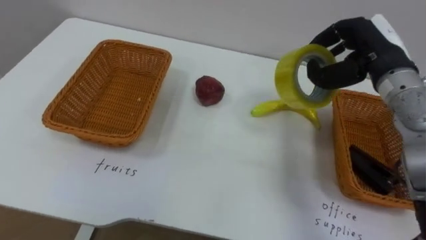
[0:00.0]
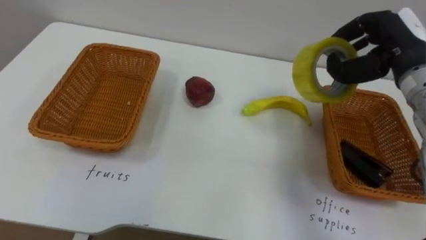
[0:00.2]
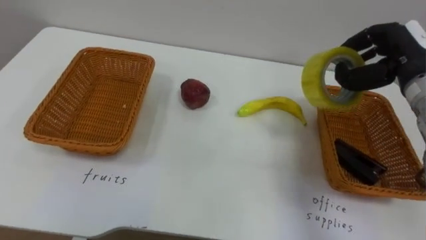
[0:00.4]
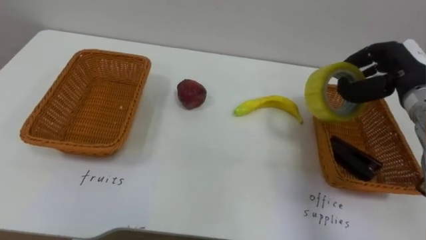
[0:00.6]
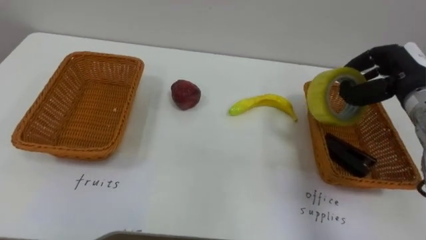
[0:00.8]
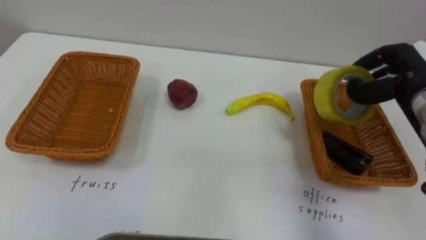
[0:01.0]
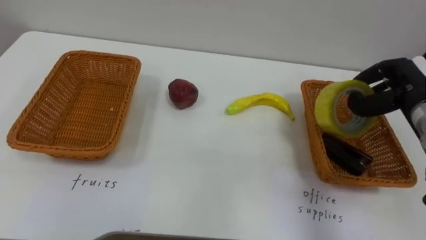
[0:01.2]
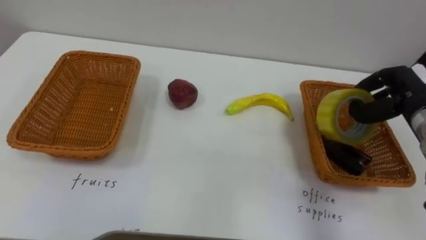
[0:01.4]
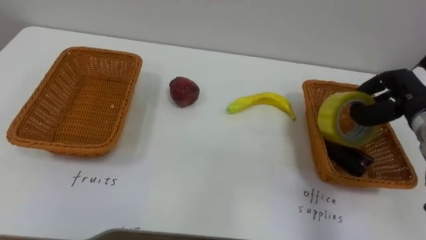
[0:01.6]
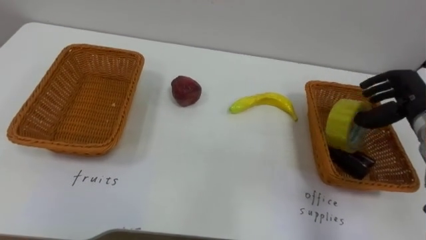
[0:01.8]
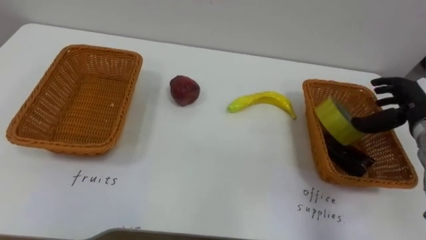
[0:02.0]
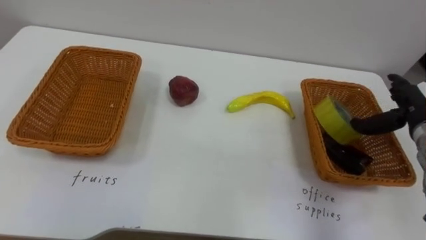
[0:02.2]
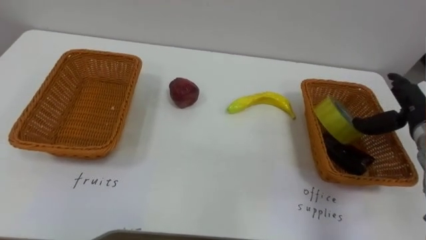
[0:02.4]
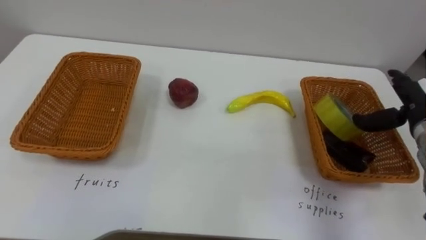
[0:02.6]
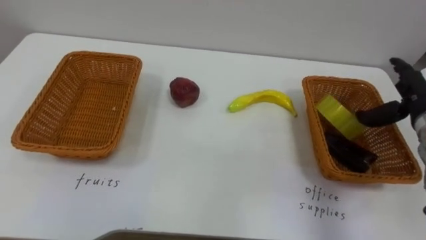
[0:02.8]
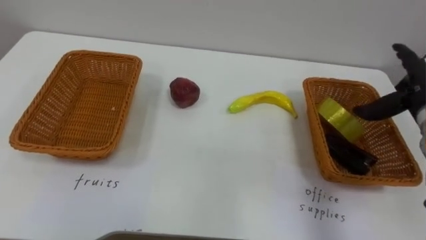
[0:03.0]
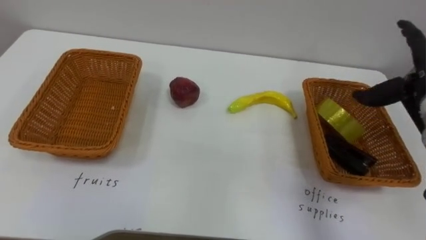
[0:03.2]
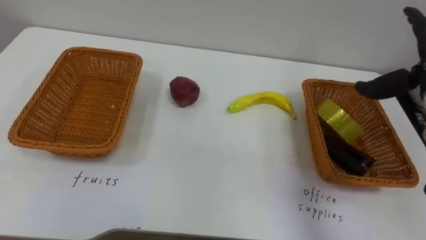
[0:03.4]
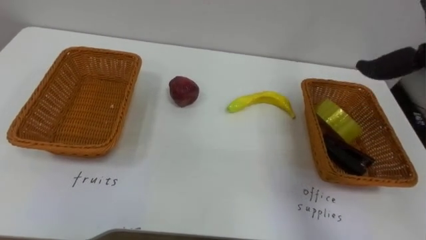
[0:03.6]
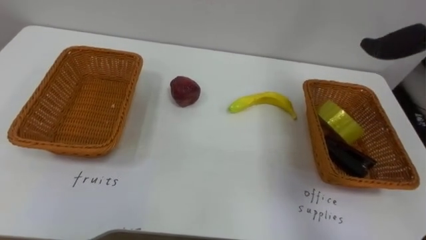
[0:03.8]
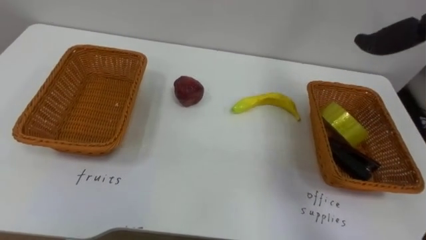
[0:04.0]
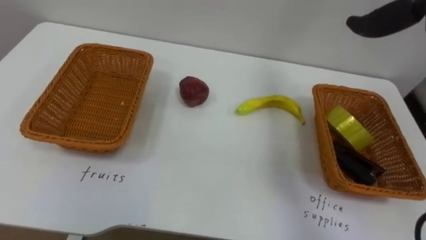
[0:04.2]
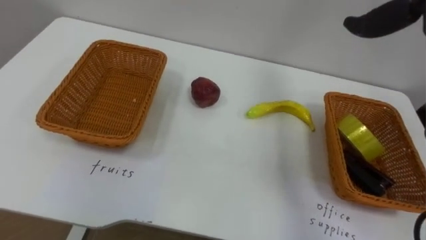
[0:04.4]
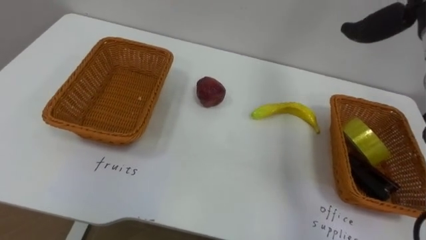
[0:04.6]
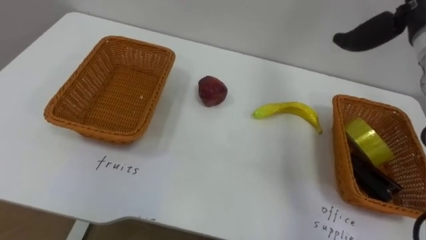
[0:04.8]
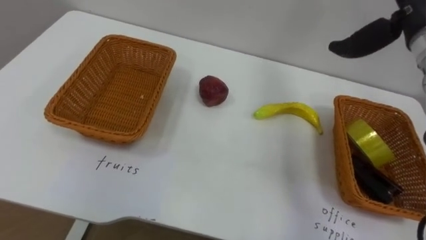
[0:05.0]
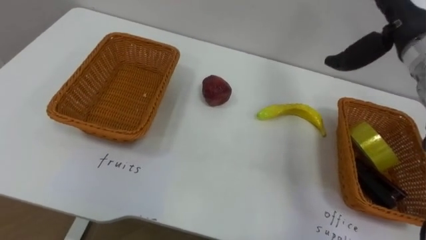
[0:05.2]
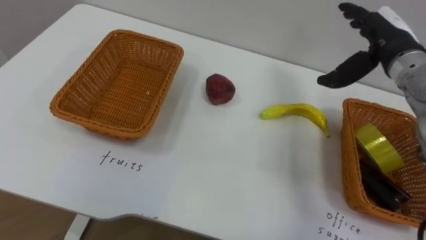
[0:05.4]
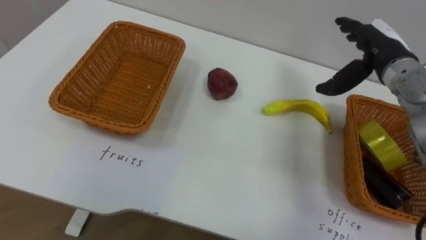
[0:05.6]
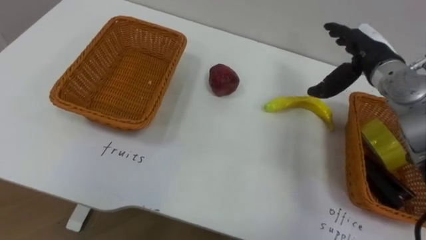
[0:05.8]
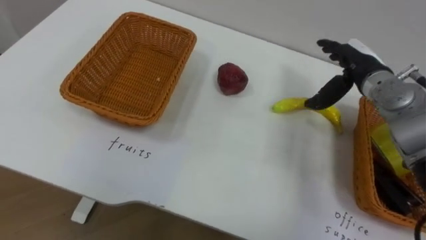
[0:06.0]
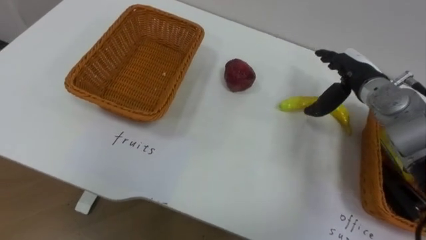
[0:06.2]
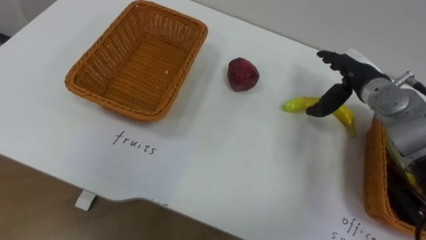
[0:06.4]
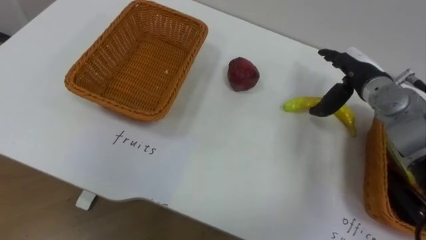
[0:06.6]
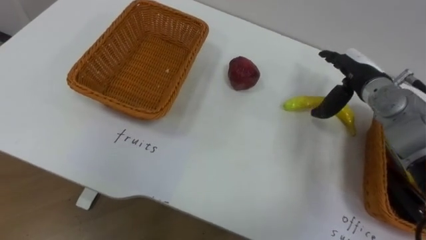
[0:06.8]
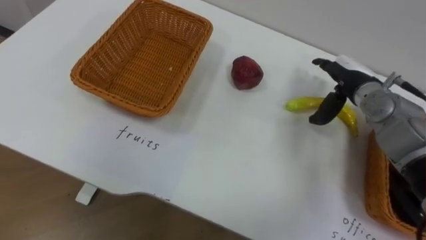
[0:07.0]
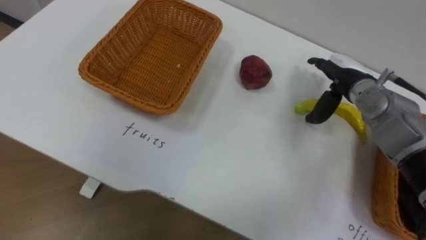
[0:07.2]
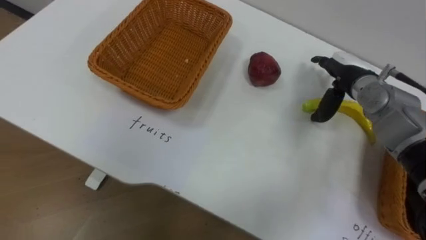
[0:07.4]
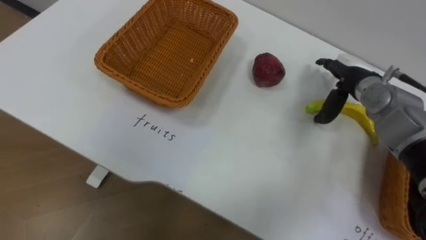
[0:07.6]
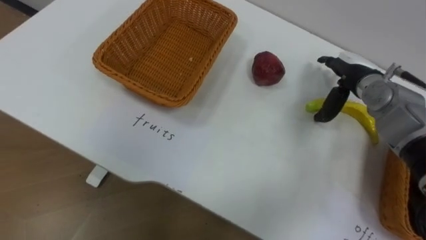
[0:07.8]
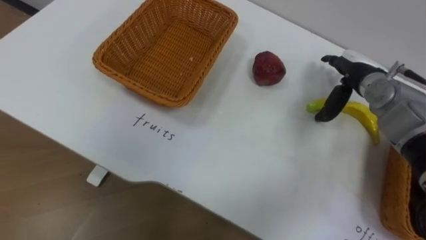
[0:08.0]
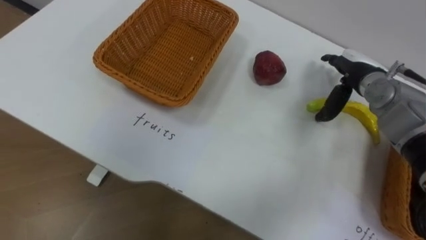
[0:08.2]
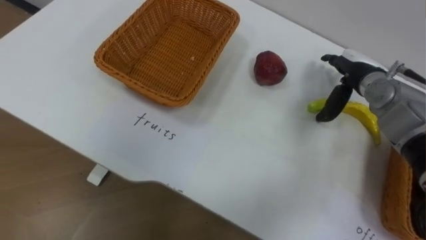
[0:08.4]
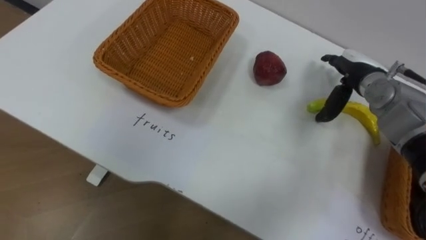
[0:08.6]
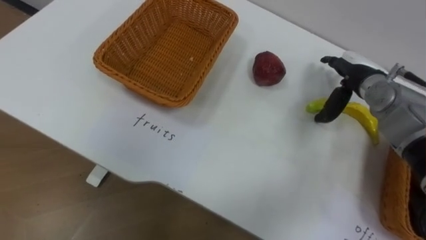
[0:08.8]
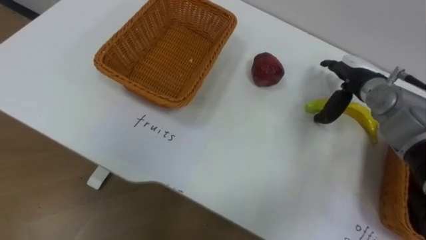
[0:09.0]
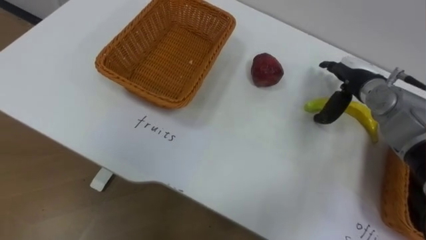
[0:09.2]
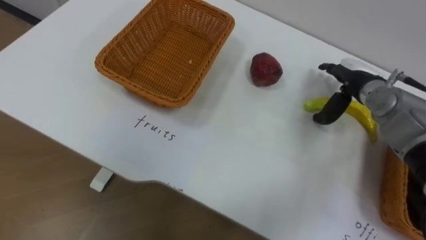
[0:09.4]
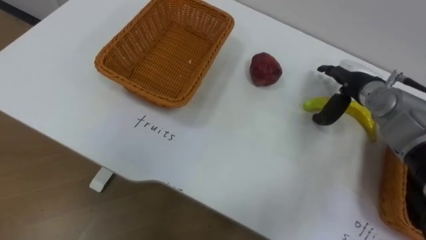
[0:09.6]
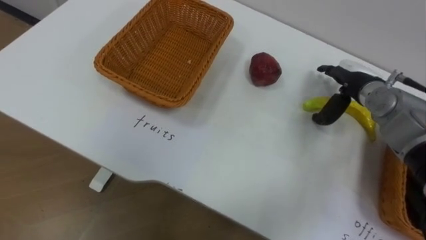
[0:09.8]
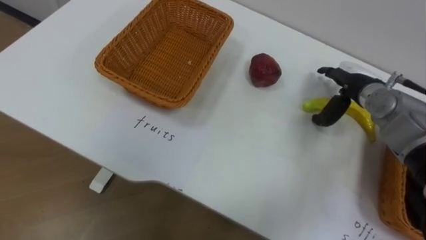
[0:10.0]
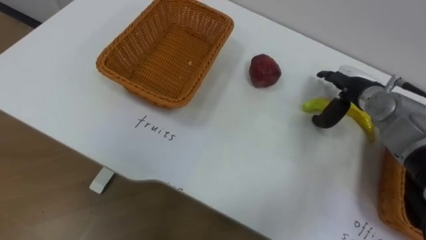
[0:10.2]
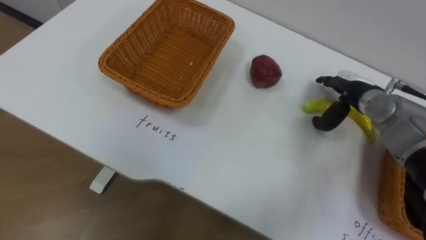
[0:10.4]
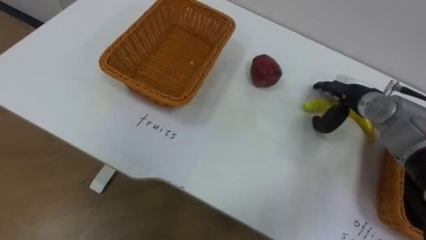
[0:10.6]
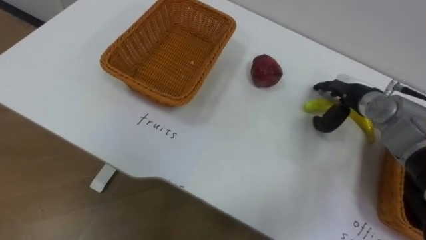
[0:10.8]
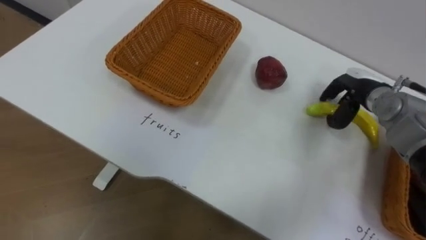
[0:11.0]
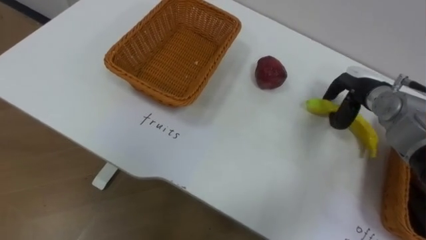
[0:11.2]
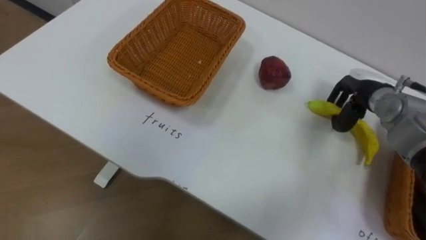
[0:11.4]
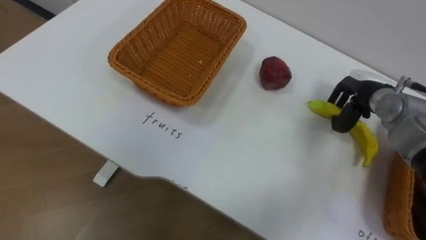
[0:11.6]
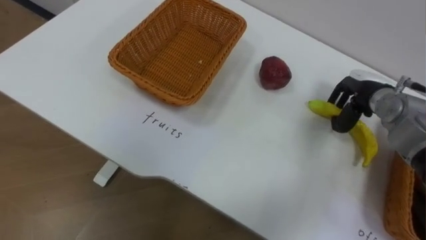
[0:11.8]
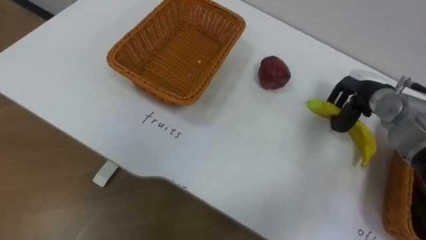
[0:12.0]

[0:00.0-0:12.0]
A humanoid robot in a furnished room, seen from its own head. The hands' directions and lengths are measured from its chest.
Task of the whole recording: Separate the items on the table and place them into the two baskets.
0:00.0 to 0:01.6: The right hand moves to the right and downward, some 15 cm.
0:01.6 to 0:03.0: The right hand opens its fingers.
0:10.4 to 0:12.0: The right hand closes.

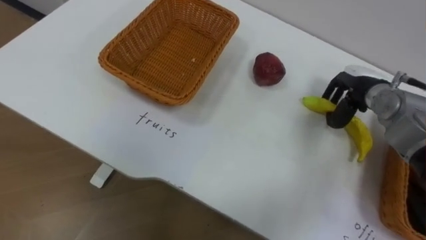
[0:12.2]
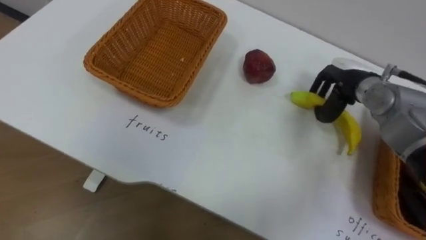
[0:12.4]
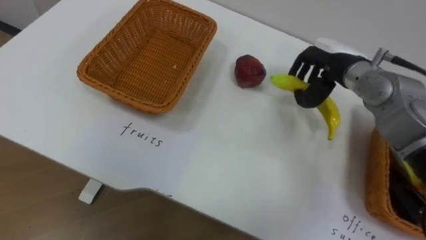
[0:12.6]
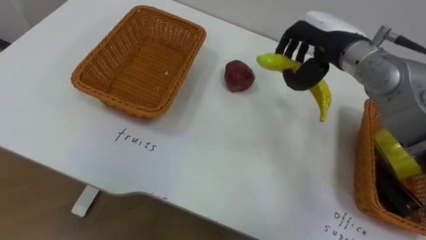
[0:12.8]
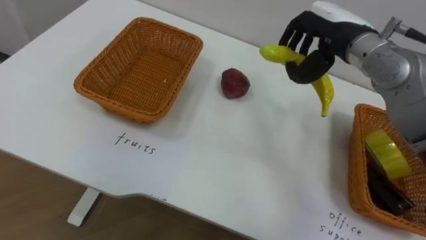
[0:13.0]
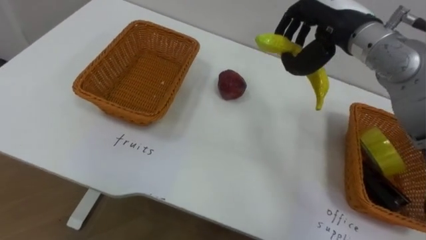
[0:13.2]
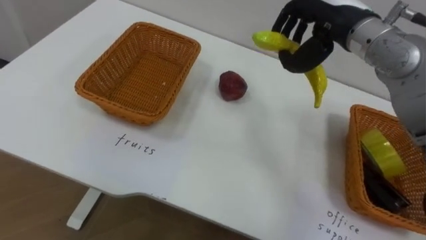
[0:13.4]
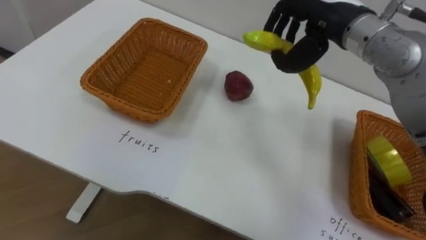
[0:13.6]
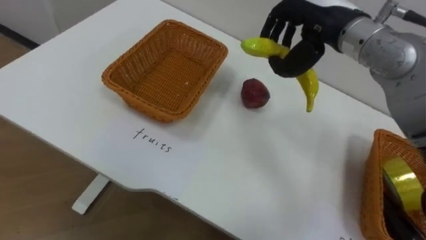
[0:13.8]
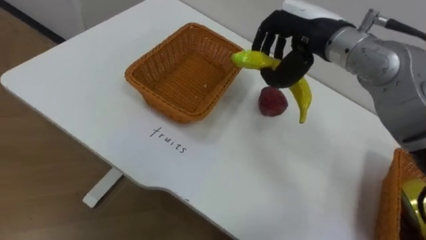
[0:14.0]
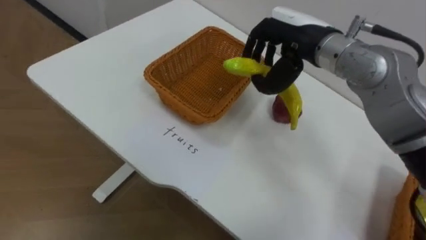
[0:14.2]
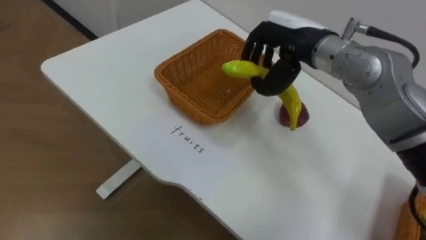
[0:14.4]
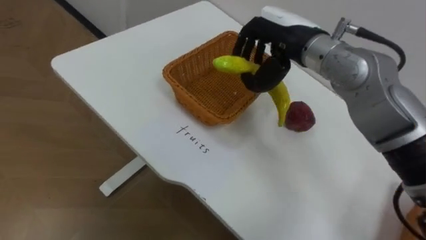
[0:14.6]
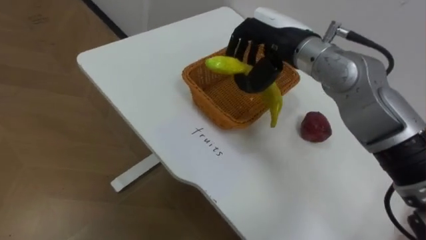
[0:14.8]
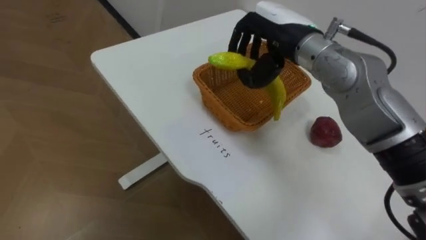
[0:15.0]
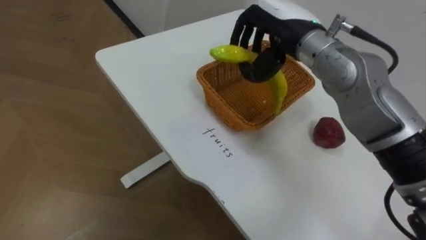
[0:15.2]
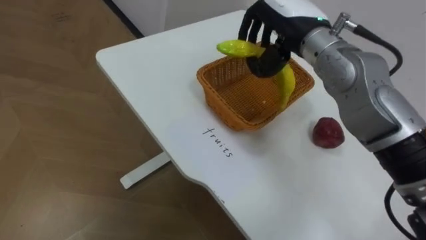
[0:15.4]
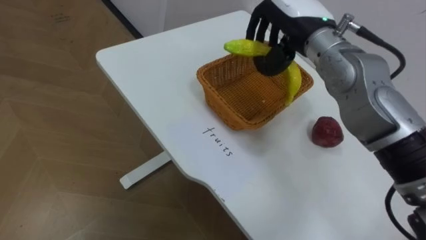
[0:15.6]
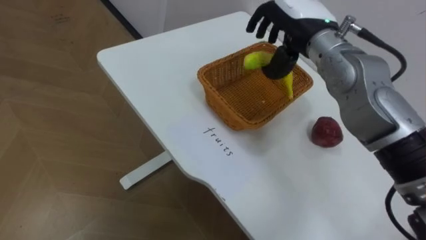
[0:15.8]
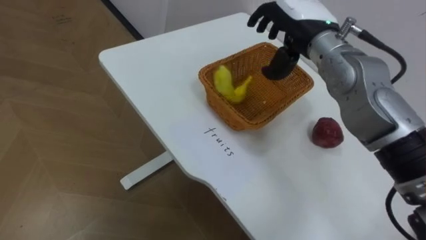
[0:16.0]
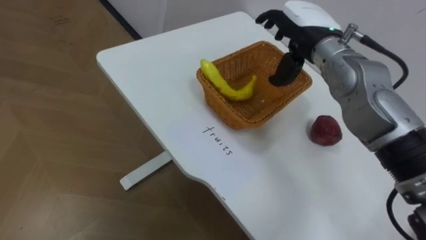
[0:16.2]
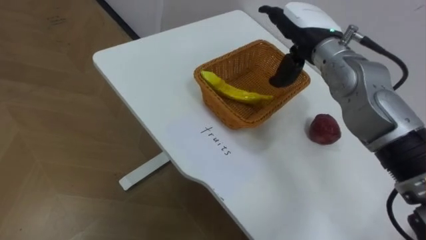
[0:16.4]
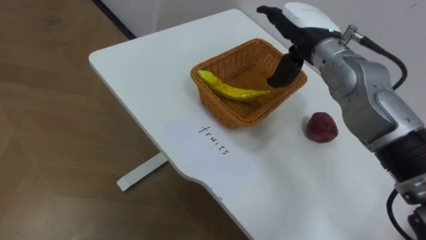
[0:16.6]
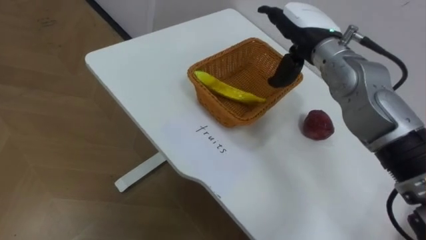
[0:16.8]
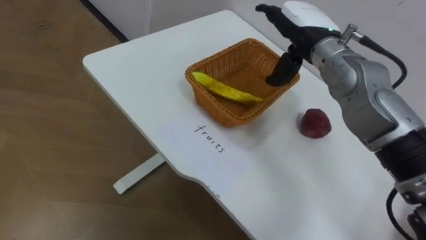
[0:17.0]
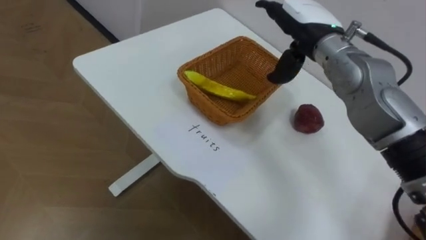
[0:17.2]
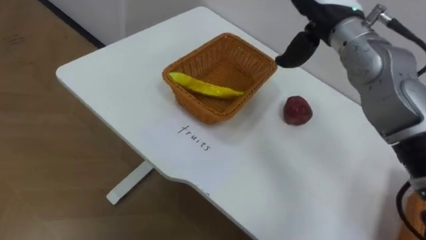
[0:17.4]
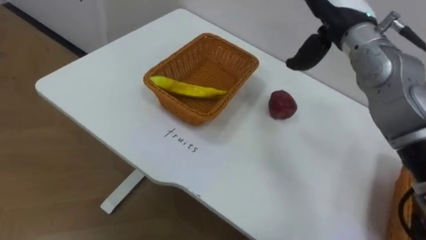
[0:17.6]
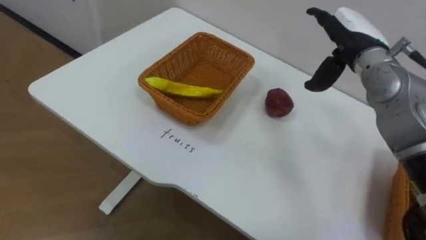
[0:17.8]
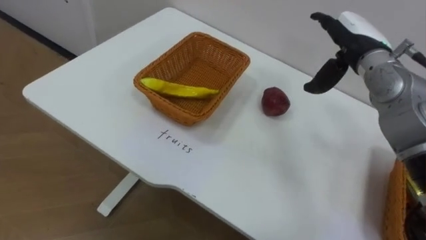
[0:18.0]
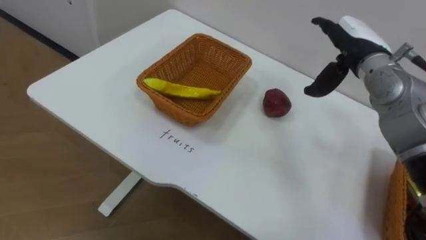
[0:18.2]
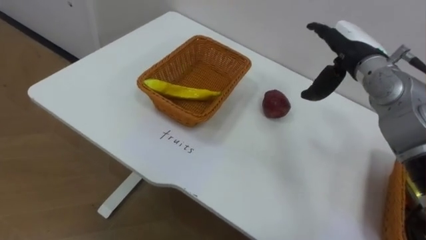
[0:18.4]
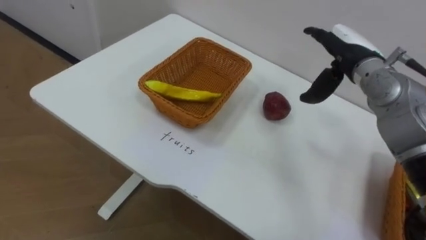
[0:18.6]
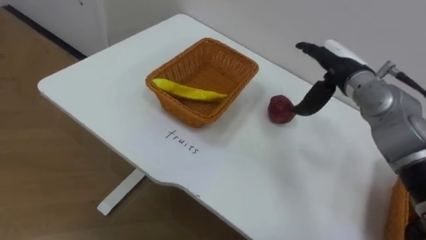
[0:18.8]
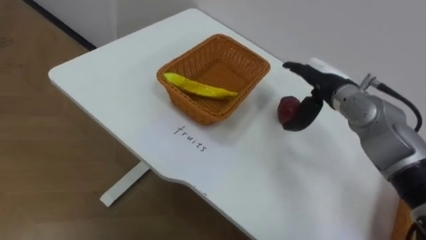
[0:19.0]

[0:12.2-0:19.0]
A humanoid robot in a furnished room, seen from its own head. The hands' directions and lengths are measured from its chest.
Task of the whole recording: Separate the items on the table and place them into the two baskets.
0:12.2 to 0:13.6: The right hand is displaced upward and to the left by roughly 20 cm.
0:13.6 to 0:15.0: The right hand is displaced to the left by approximately 5 cm.
0:15.0 to 0:16.2: The right hand moves some 5 cm, and opens its fingers.
0:16.2 to 0:17.6: The right hand shifts by roughly 5 cm.
0:17.6 to 0:19.0: The right hand goes approximately 10 cm downward.
